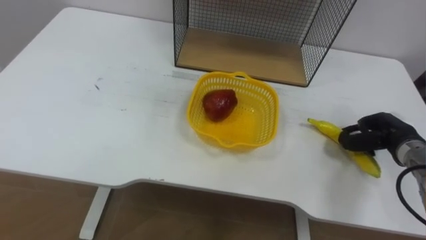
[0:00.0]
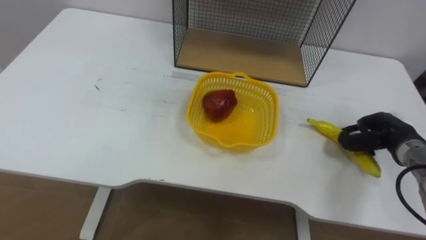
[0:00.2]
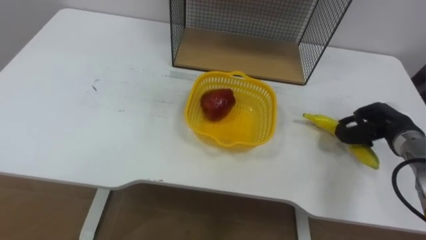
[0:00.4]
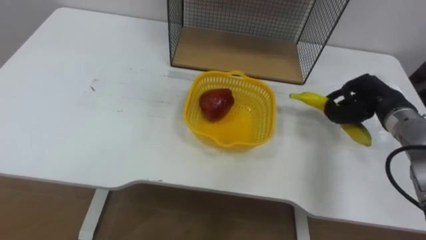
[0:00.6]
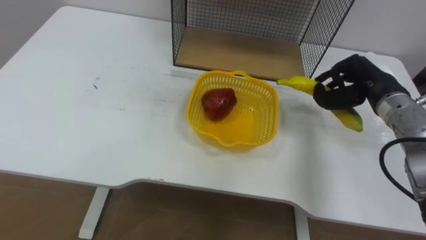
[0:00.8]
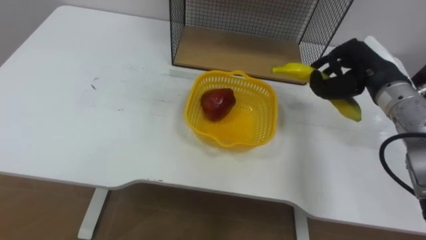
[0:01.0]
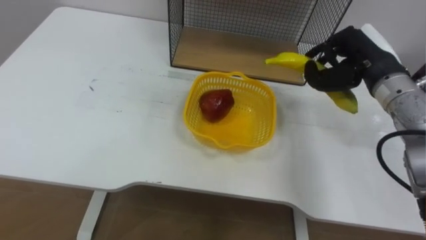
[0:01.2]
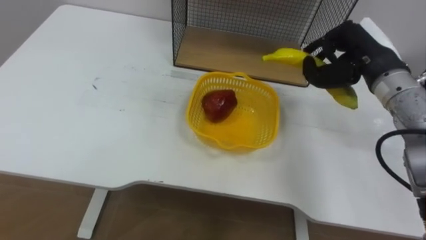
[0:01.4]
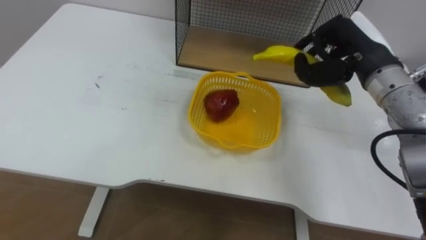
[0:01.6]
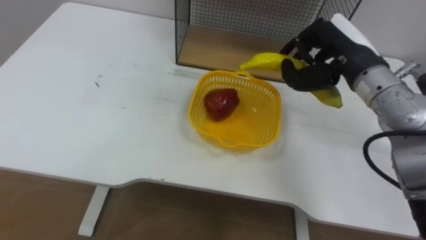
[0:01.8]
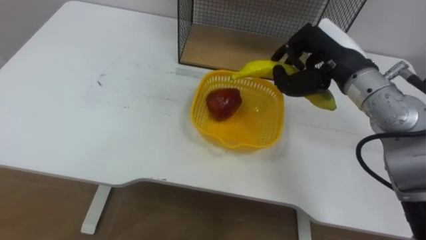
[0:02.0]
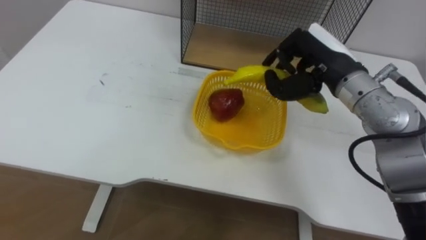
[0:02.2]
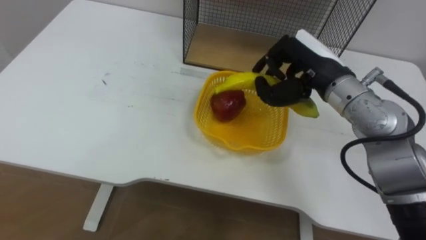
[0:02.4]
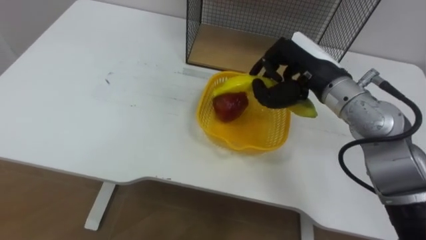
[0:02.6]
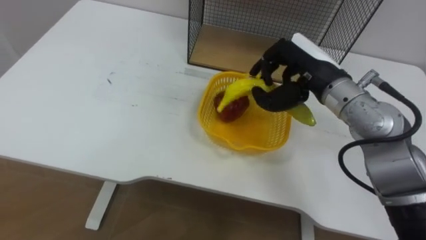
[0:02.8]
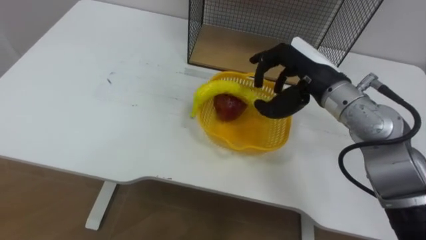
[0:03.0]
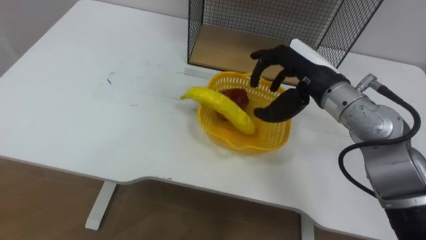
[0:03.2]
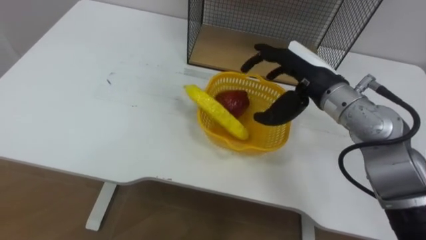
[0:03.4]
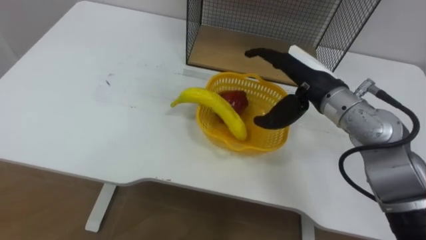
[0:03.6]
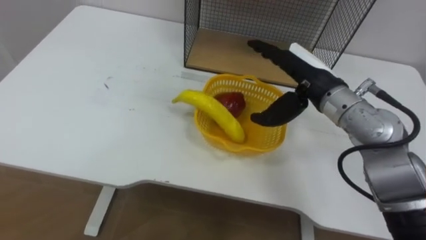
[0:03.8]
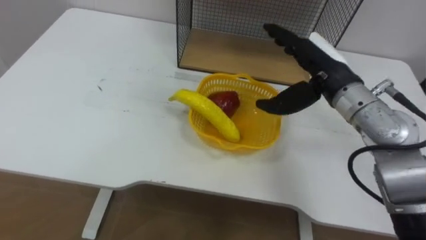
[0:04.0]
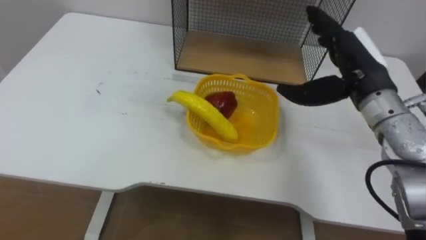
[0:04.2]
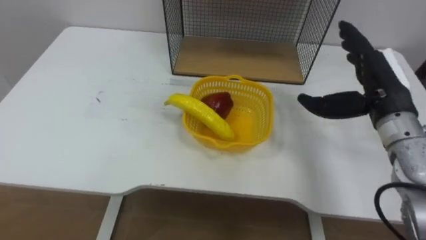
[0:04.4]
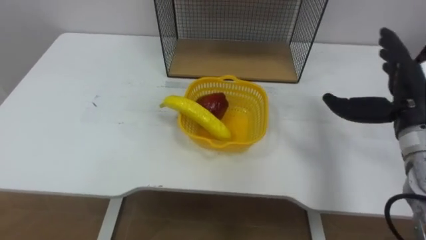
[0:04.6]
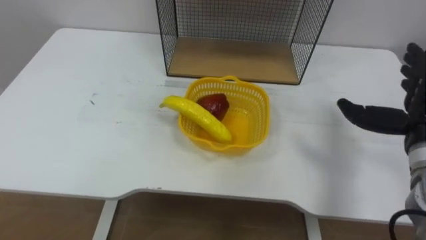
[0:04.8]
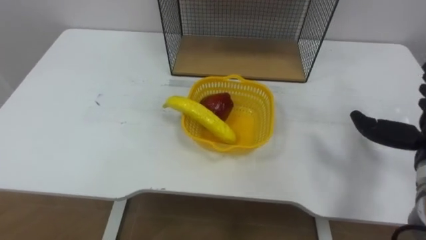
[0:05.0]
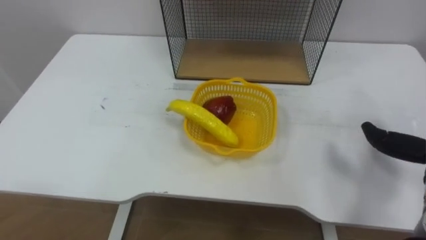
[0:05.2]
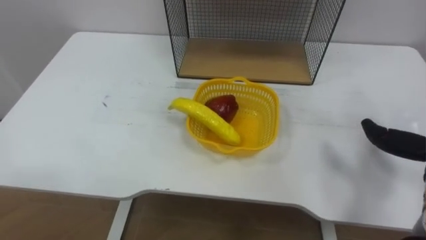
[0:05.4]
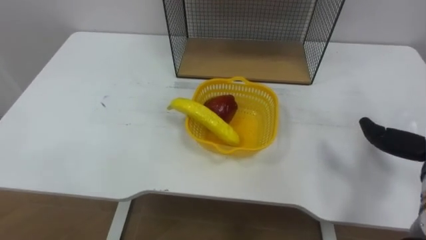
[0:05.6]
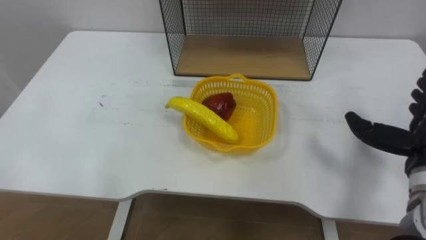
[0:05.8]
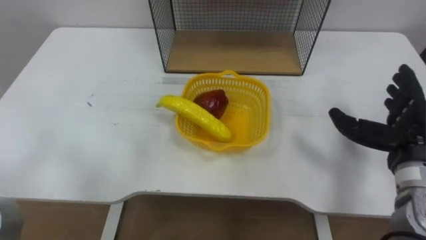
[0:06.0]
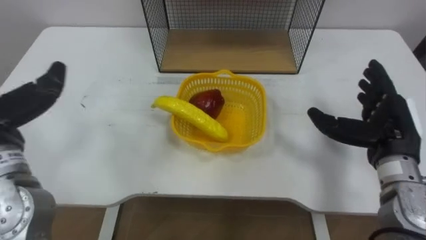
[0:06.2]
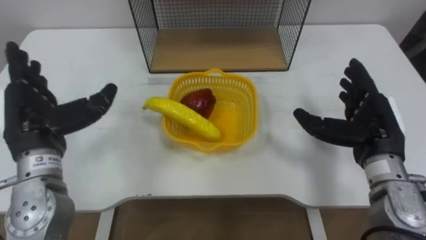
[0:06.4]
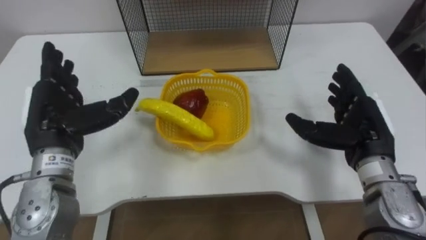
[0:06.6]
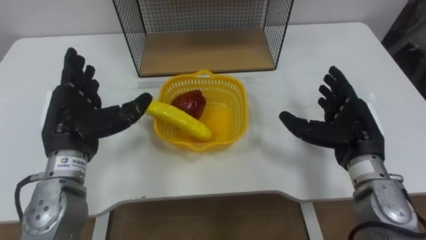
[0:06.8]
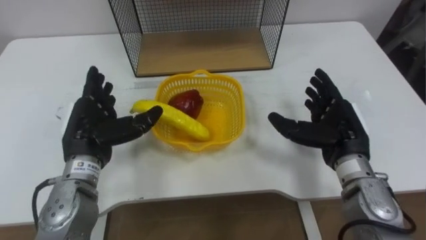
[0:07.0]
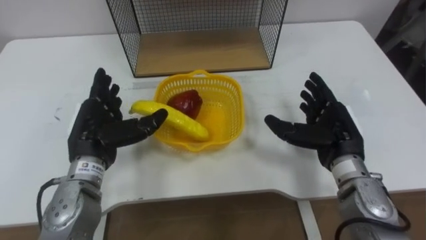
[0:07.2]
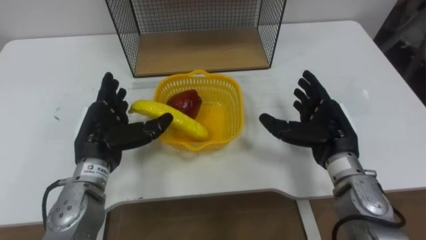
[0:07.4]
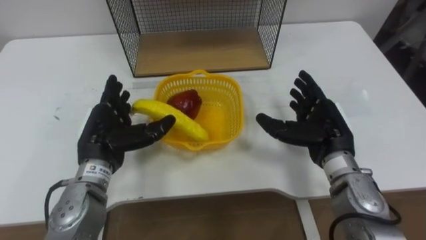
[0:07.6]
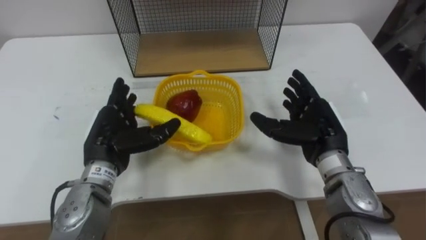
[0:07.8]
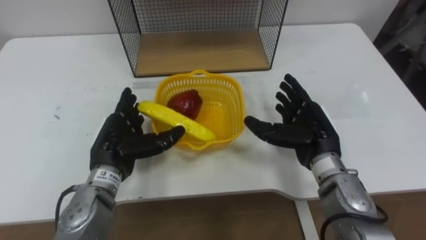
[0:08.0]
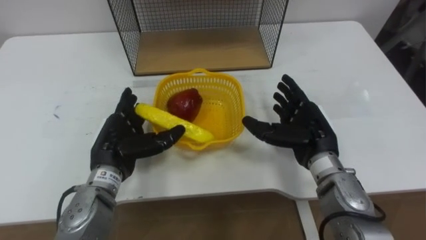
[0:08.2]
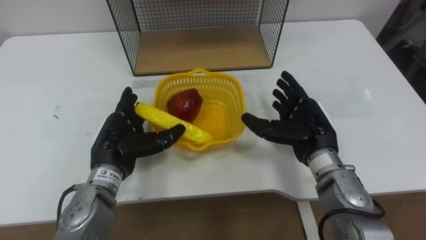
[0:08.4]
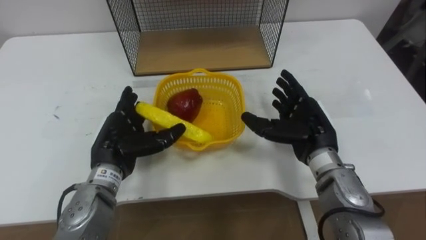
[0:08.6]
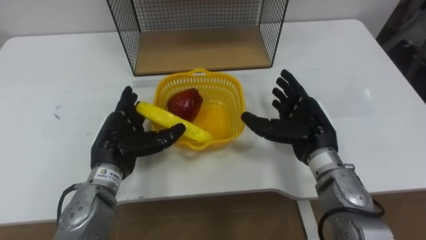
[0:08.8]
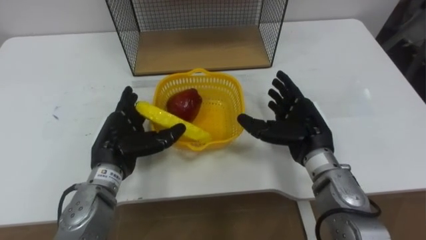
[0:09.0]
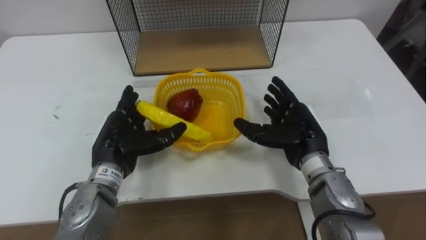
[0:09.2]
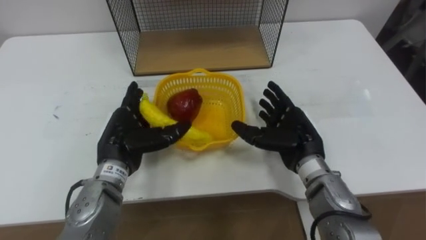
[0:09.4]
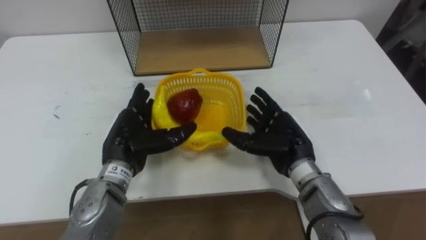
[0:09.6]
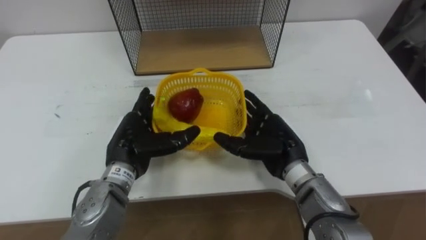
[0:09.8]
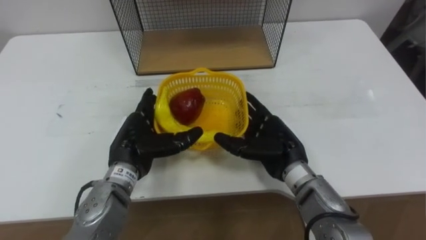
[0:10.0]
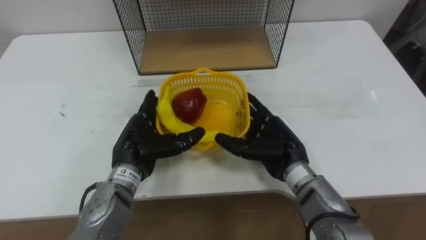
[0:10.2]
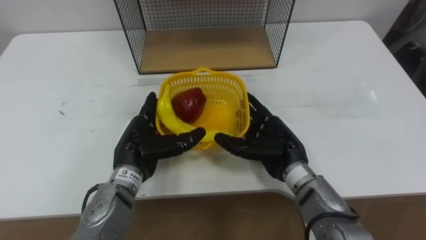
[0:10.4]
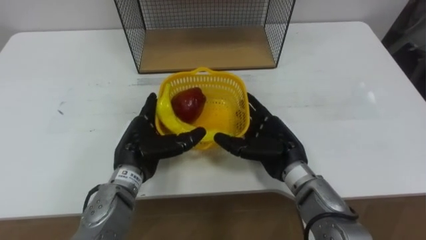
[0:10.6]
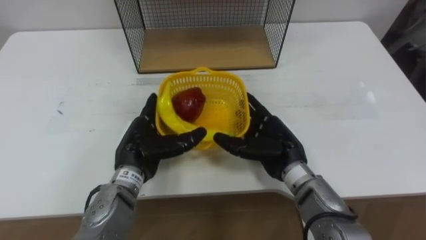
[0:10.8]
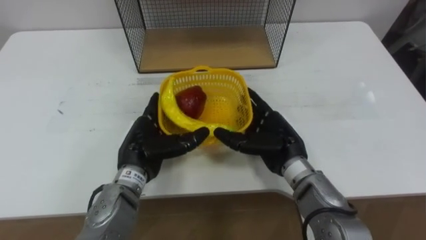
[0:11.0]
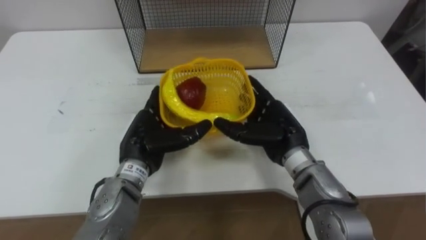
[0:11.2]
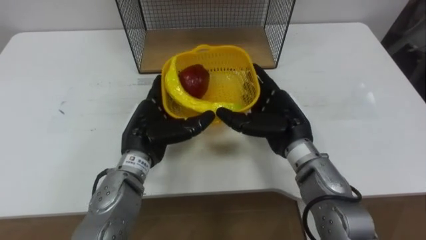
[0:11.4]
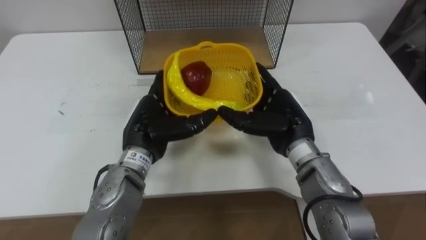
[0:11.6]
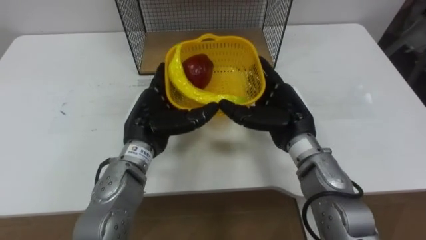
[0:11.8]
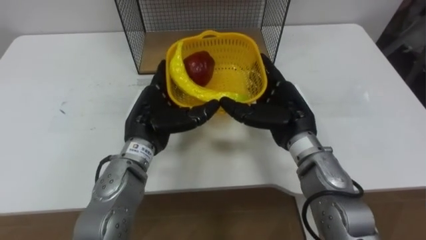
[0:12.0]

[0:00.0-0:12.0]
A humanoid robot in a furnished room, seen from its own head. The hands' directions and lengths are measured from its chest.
Task of the whole recording: Put the fruit on the table into the basket, then place the basket on the shelf.
0:00.0 to 0:01.6: The right hand shifts approximately 20 cm upward and to the left.
0:01.6 to 0:03.0: The right hand is displaced to the left by some 5 cm.
0:03.0 to 0:04.4: The right hand is displaced to the right by approximately 10 cm, and opens up.
0:06.0 to 0:07.6: The right hand travels to the left by roughly 10 cm.
0:07.6 to 0:09.0: The hands move only a little.
0:09.0 to 0:10.4: The right hand ends up some 5 cm from where it was.
0:10.4 to 0:12.0: The right hand heads upward, covering about 5 cm. Meanwhile the left hand changes place by approximately 5 cm.

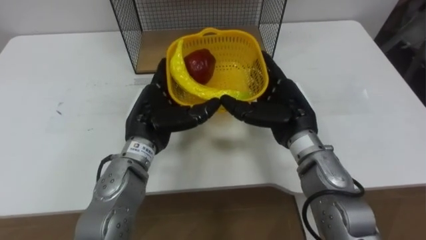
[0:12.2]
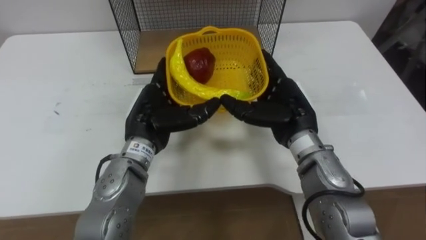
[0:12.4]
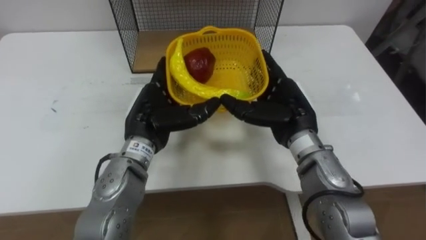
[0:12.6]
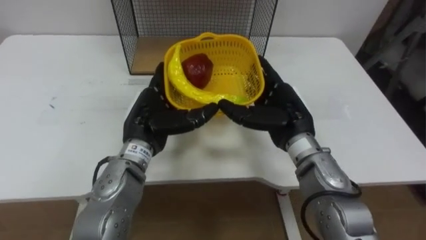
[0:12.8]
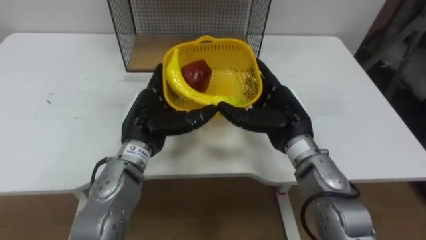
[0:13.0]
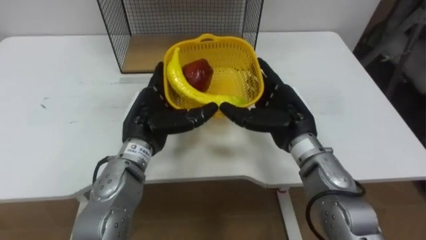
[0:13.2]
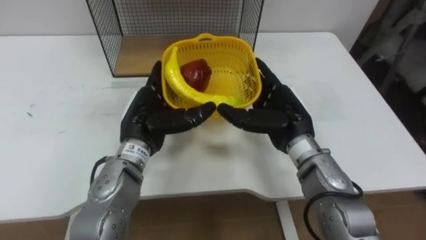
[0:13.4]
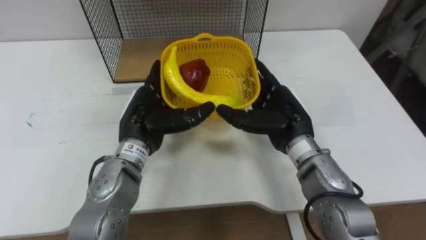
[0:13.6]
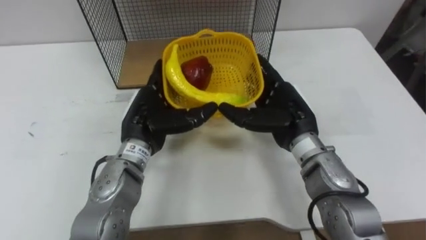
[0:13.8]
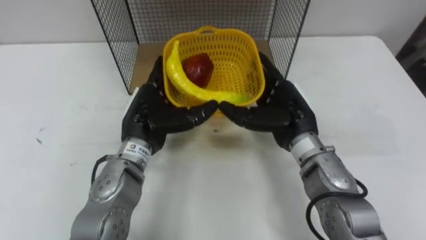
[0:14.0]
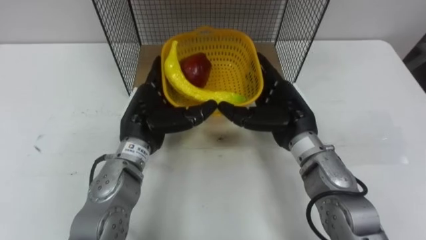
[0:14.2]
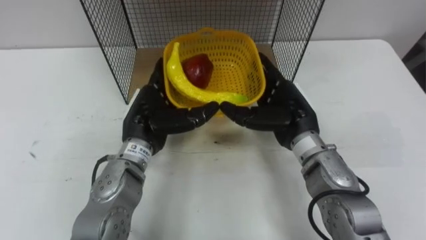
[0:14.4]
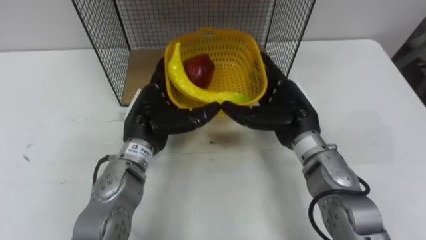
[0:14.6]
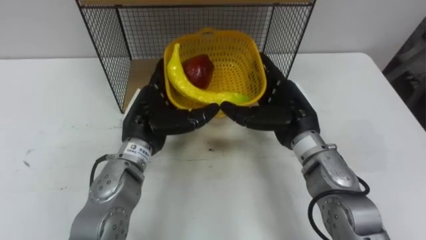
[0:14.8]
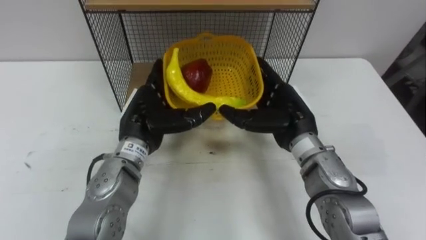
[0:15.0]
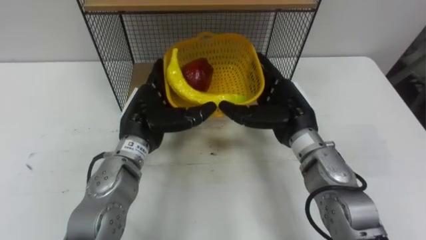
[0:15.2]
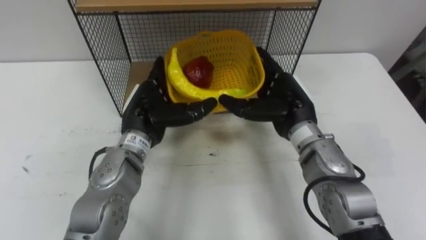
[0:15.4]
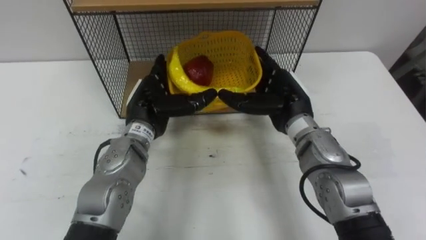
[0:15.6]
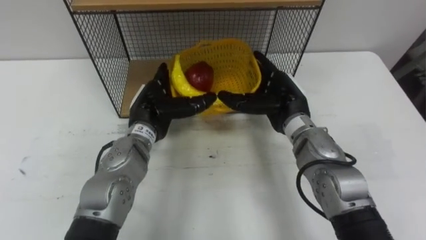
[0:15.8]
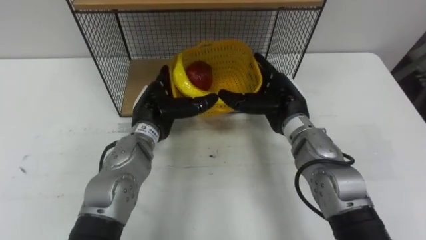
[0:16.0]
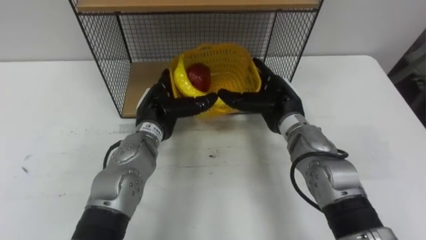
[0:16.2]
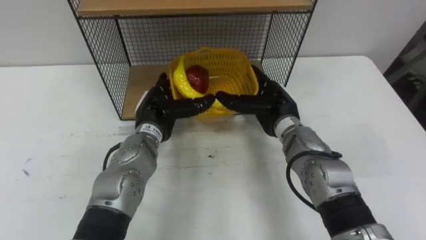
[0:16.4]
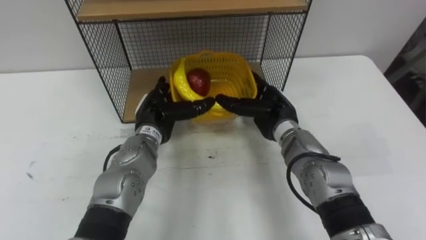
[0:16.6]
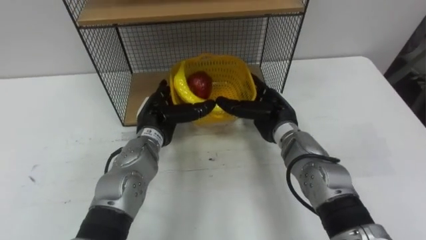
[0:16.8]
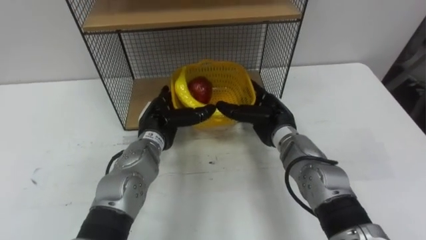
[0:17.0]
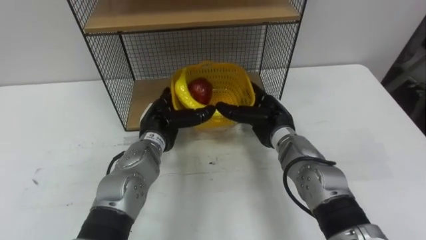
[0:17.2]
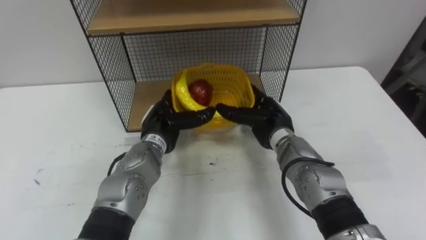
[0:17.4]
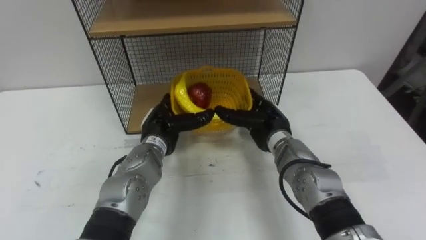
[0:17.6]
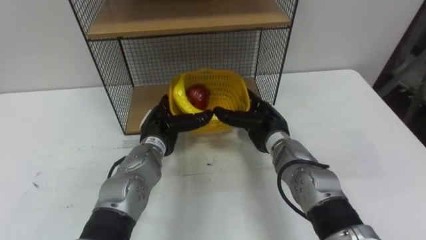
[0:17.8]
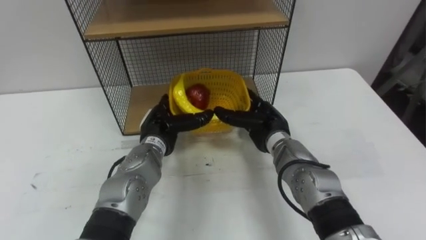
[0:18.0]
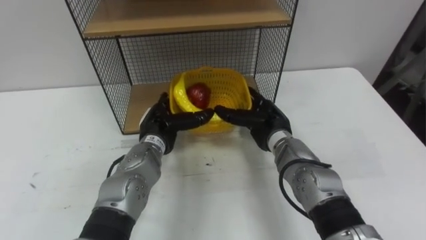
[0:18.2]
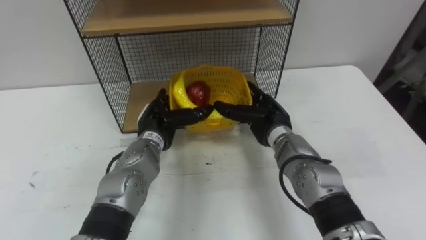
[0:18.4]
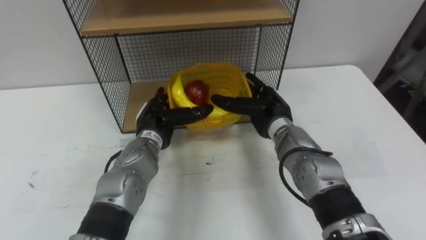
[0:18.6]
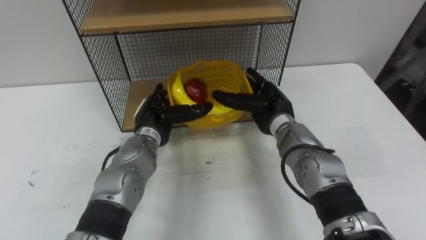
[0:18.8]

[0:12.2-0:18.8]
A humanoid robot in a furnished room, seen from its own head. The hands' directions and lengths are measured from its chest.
Task of the whole recording: Put the fruit on the table into the basket, then place the basket on the shelf.
0:15.4 to 0:17.2: Both hands move downward, approximately 5 cm.
